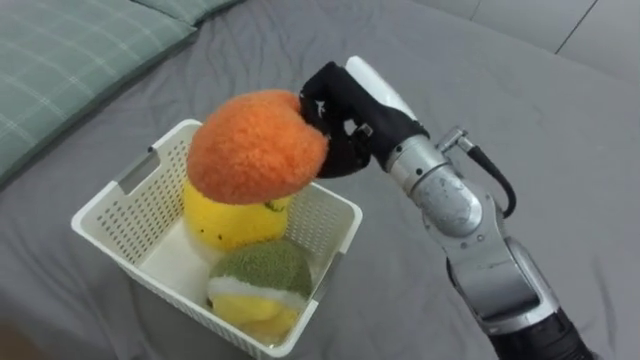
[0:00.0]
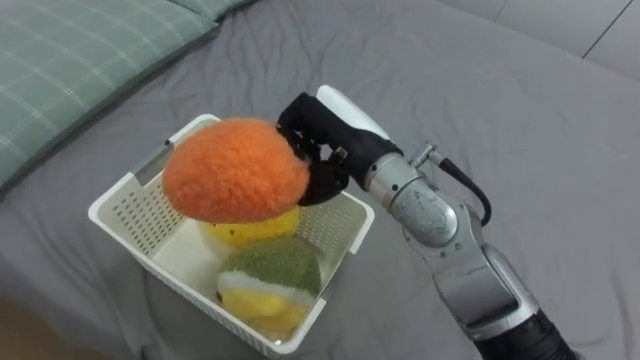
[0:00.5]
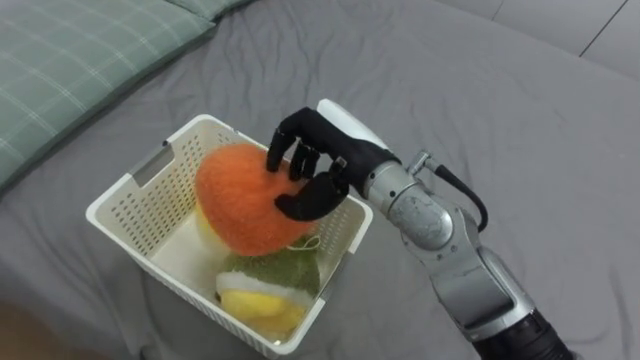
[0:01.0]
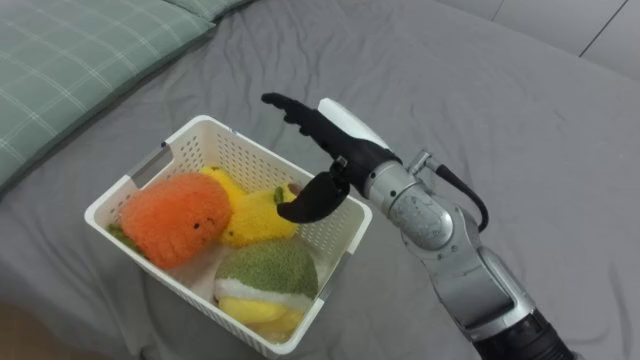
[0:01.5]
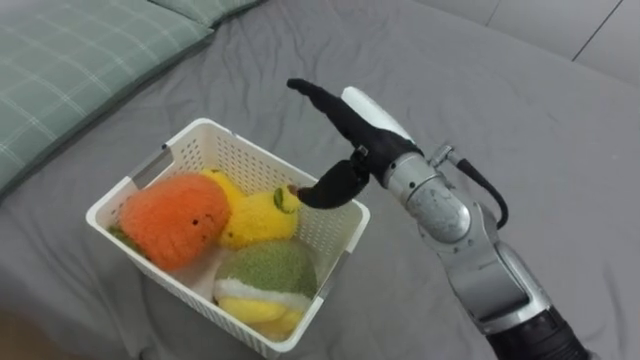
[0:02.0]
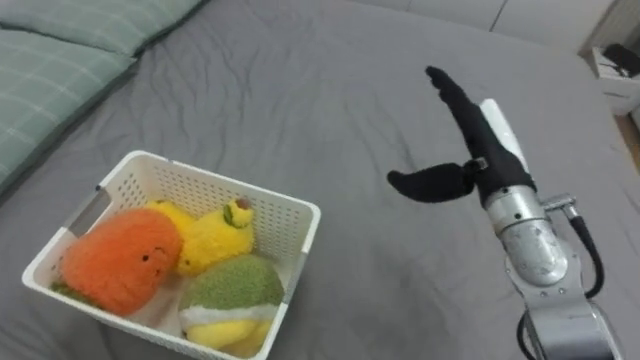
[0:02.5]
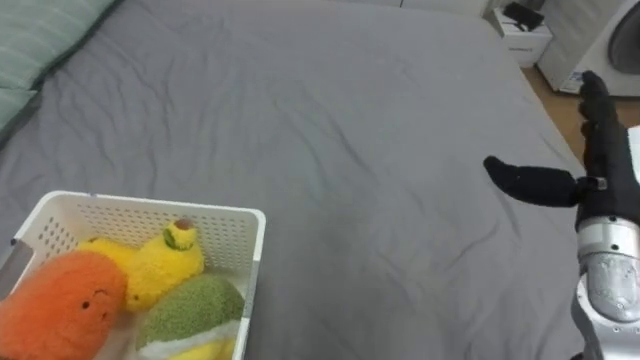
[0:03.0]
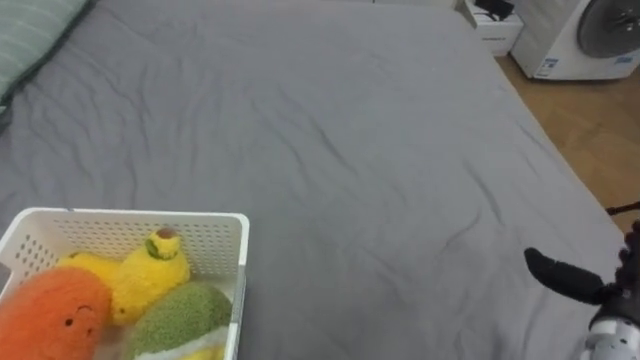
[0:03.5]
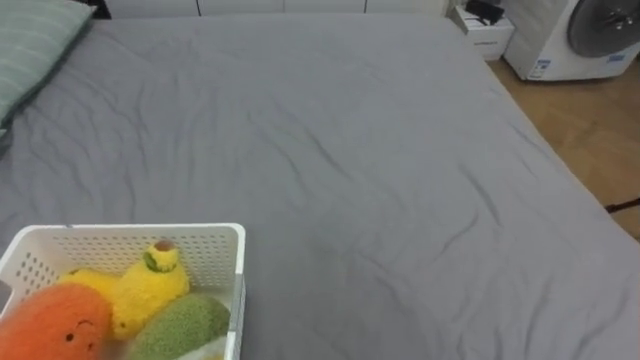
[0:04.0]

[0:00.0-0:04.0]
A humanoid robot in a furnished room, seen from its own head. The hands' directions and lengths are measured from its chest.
Task of the whole recording: Put the toys on the bed into the basket on the left.
0:00.0 to 0:02.0: The right hand opens up.

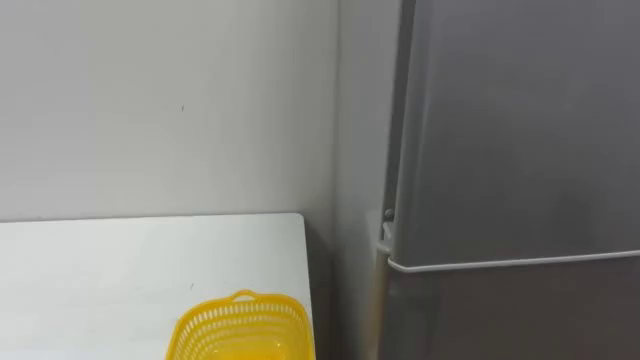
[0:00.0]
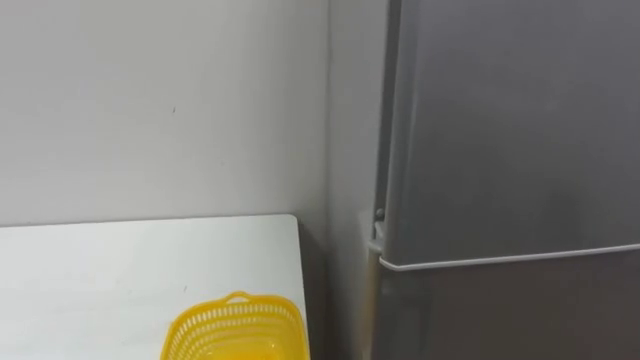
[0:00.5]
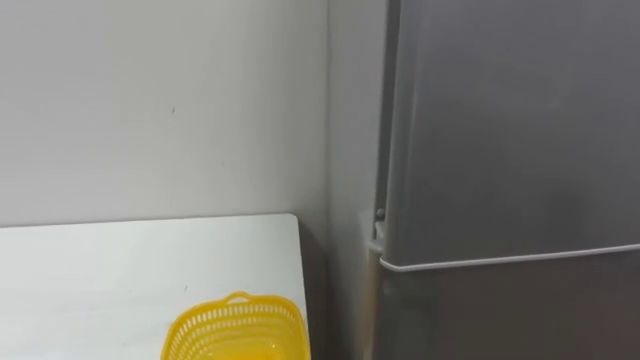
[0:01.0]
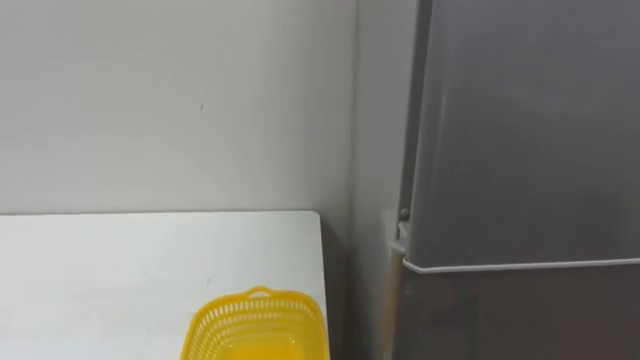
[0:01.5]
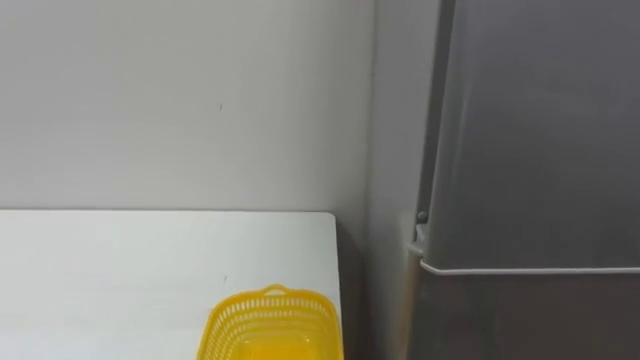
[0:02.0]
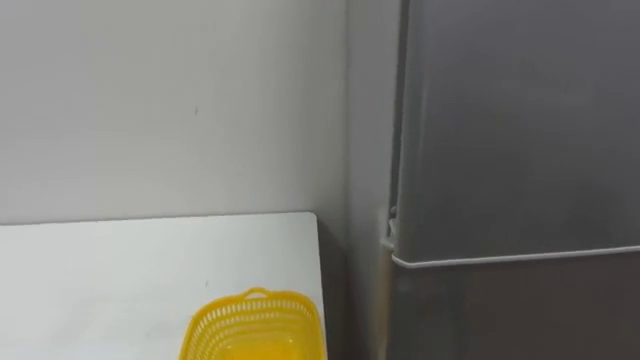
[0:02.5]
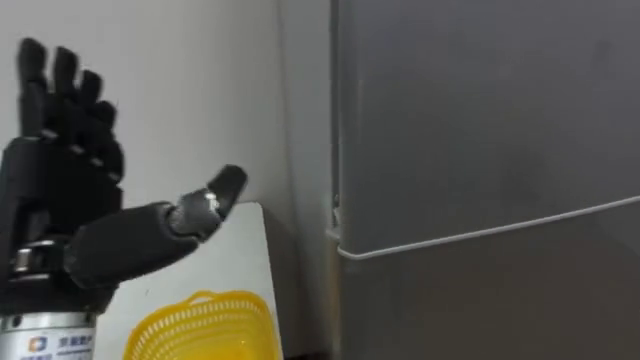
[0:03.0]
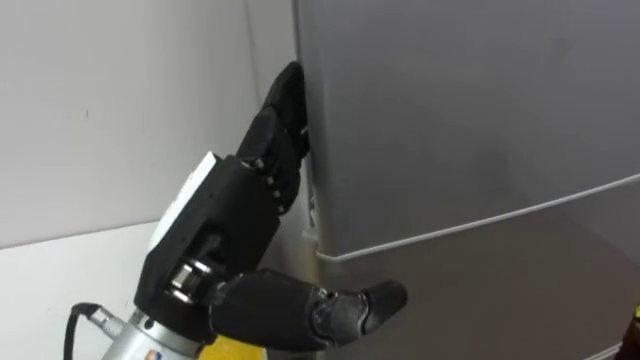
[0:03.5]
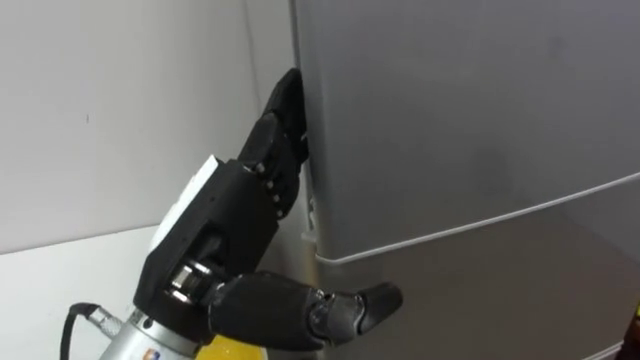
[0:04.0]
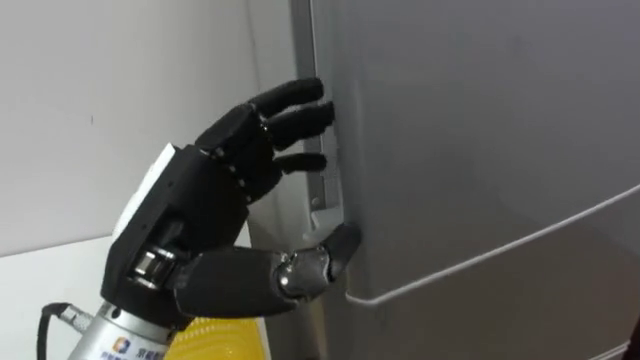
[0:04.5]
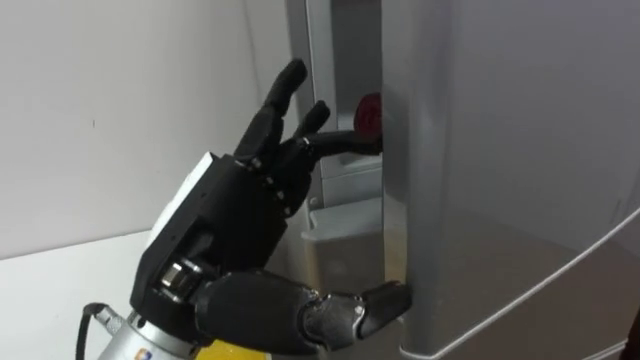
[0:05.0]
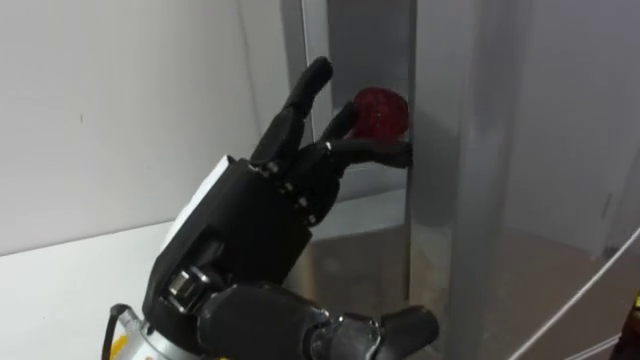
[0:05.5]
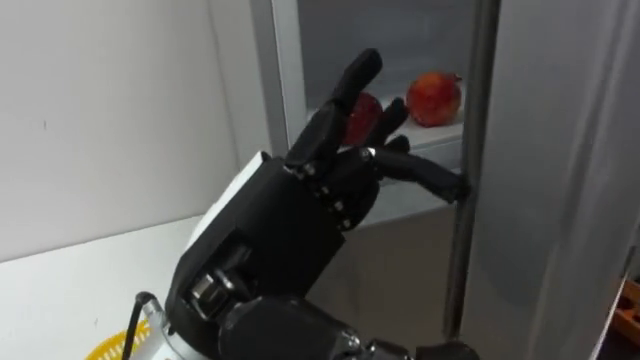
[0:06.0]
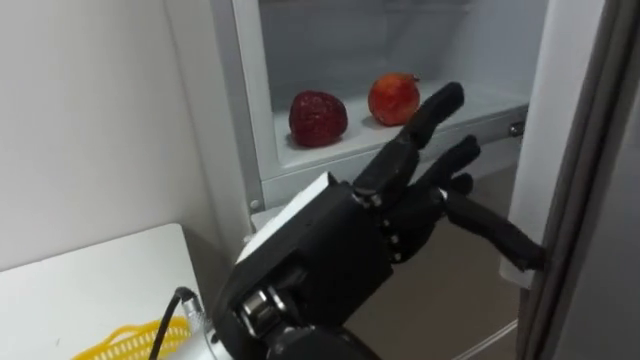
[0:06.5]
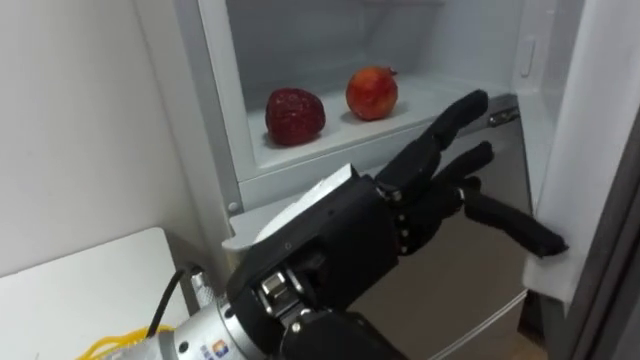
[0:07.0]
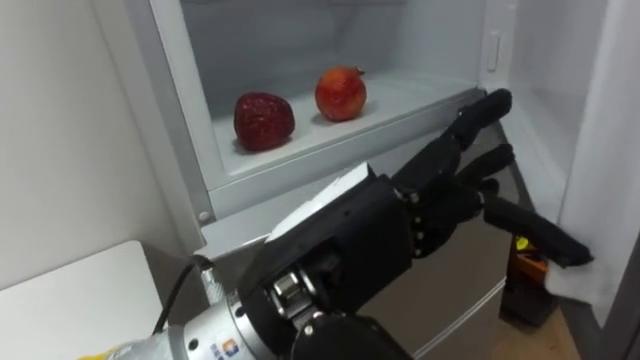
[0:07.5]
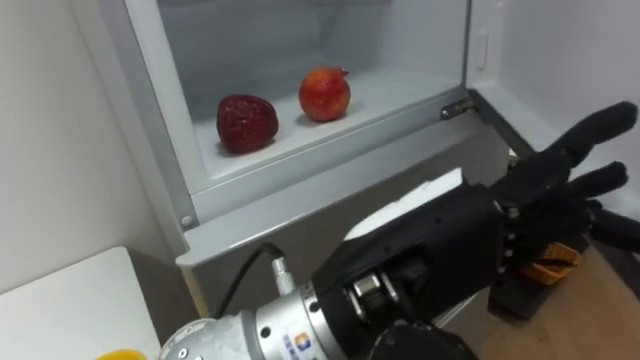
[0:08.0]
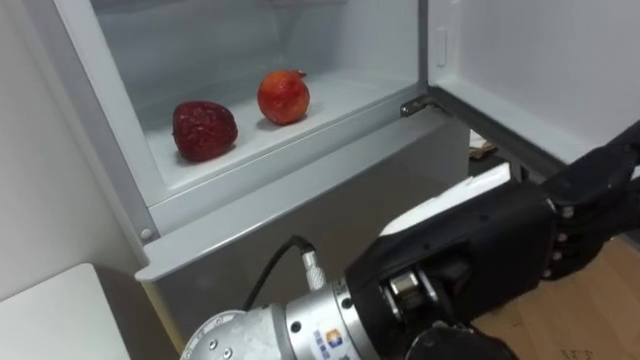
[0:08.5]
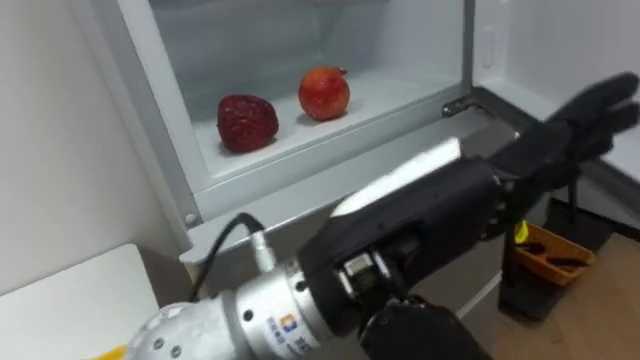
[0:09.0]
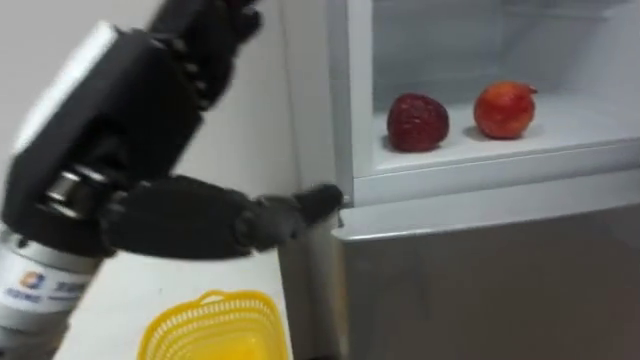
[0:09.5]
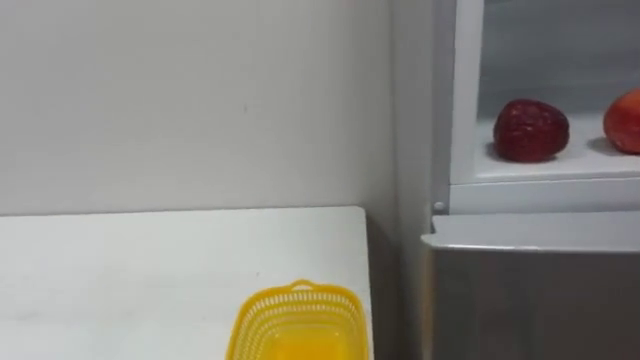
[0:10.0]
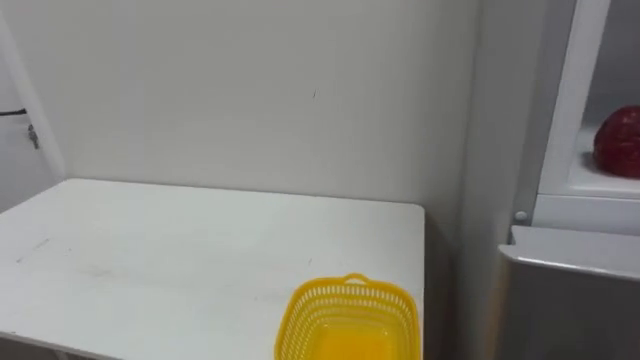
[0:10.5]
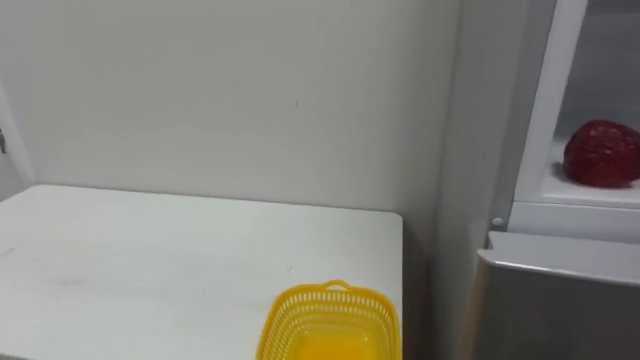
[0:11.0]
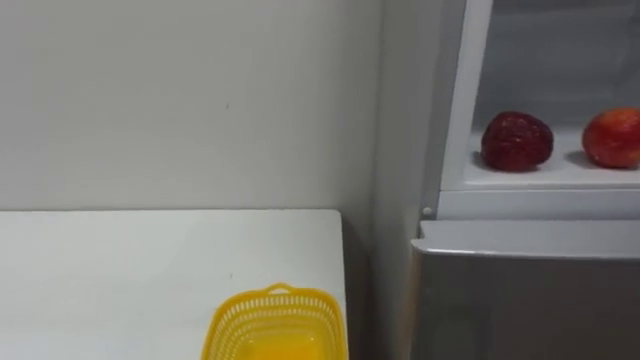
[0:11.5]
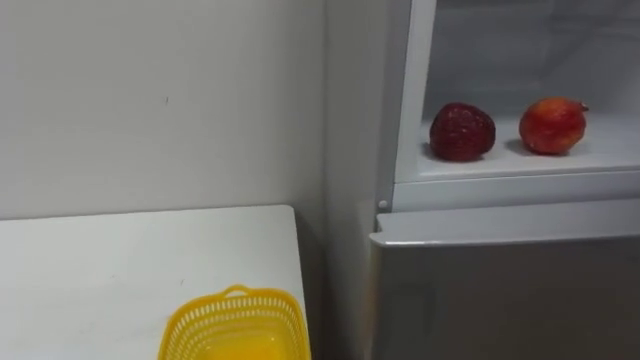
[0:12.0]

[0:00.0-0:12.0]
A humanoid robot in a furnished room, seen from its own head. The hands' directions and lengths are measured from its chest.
Task of the whole recording: Open the refrigerator door, take out the apple and the pomegranate, place them in the fruit basket on the left, and close the refrigerator door.
0:06.0 to 0:08.0: The left hand travels to the right by some 10 cm.

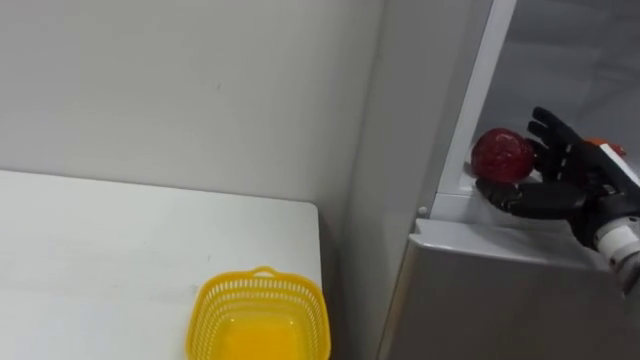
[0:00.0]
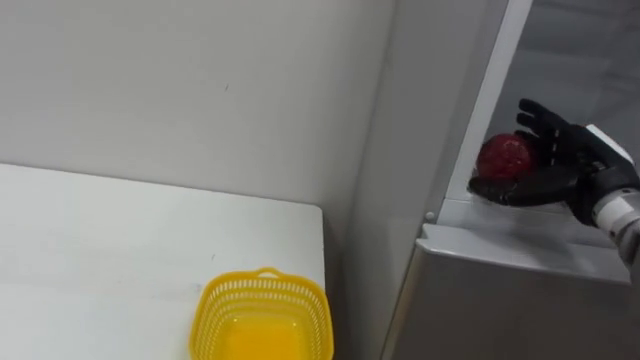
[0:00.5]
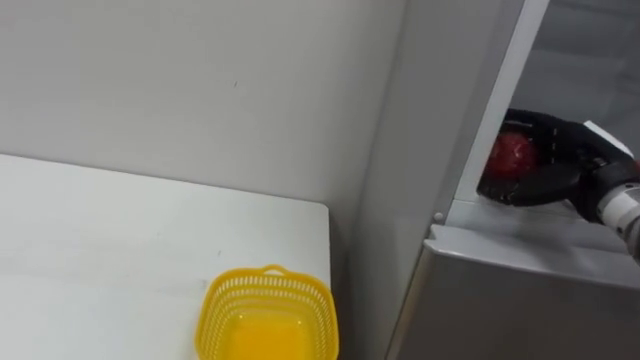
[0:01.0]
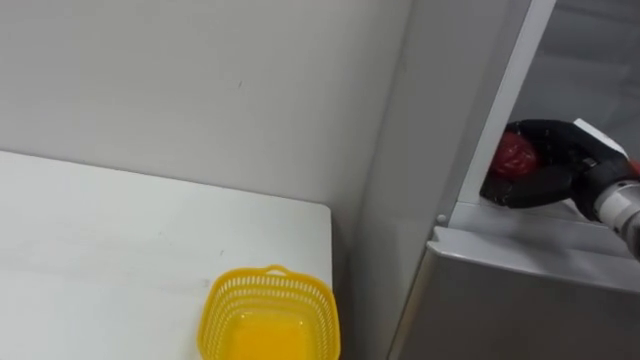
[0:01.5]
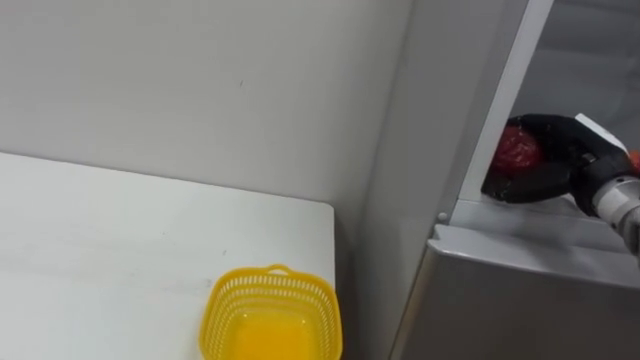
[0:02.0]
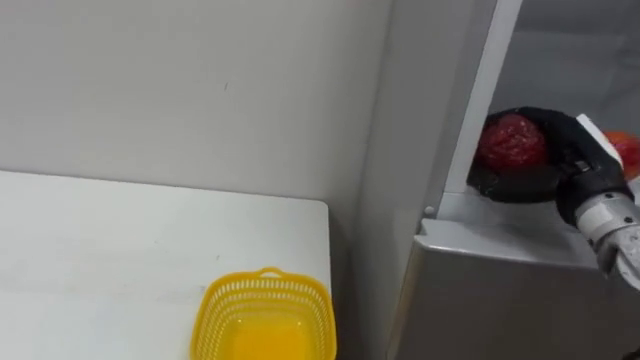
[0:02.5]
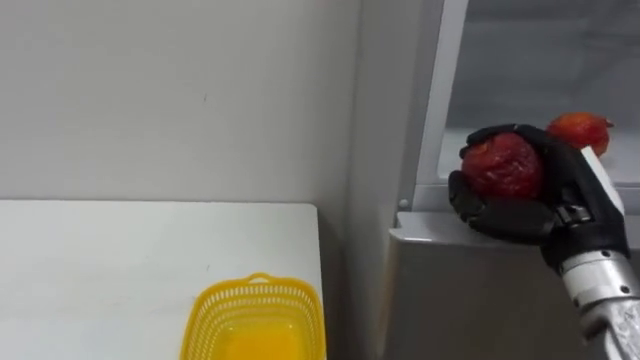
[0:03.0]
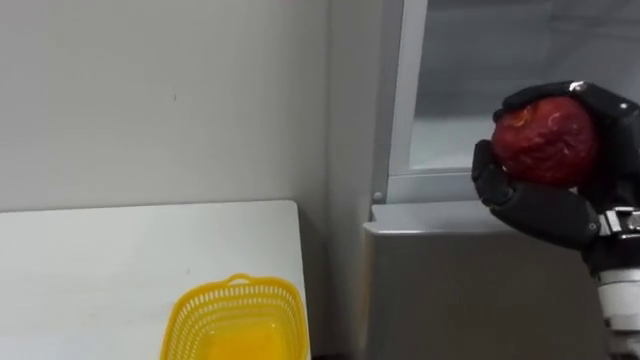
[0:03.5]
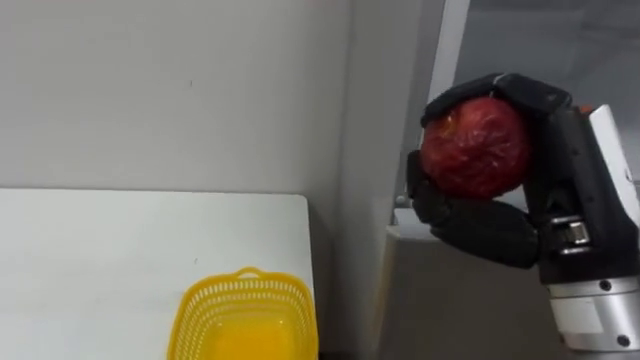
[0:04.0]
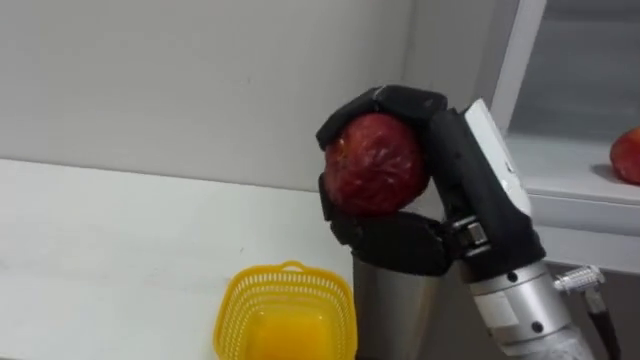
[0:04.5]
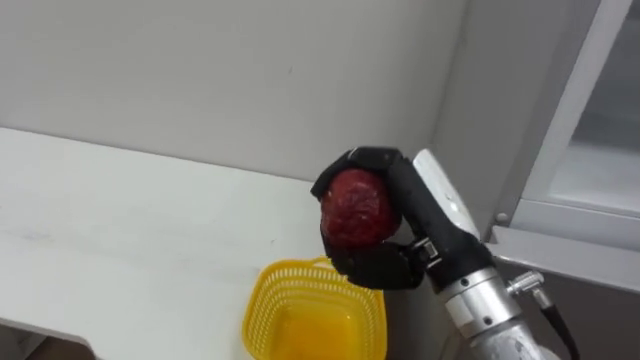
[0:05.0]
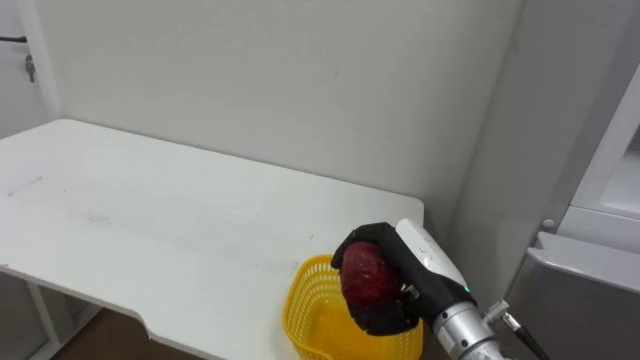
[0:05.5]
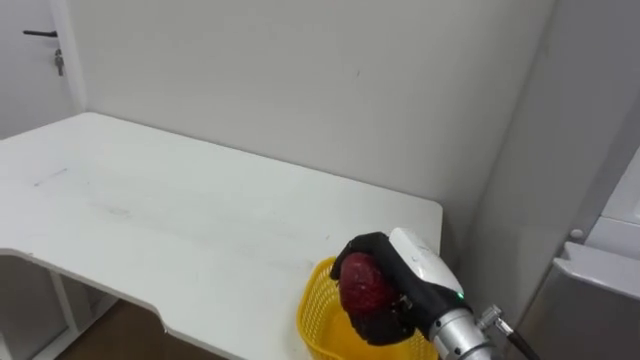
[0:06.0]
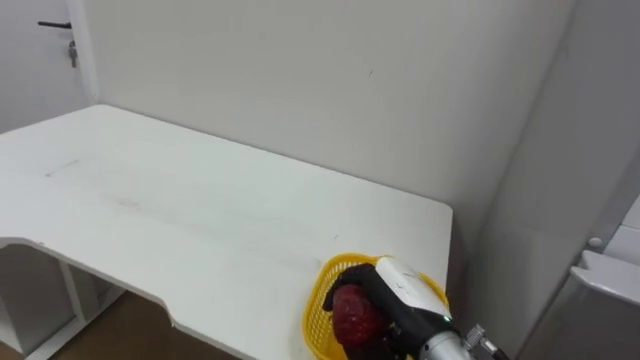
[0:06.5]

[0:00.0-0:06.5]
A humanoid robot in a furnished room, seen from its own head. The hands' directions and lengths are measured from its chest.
Task of the whole recording: Open the refrigerator door, take out the apple and the pomegranate, place them in the fruit basket on the left, and close the refrigerator door.
0:00.0 to 0:02.0: The right hand closes its fingers.
0:02.0 to 0:04.5: The right hand shifts approximately 25 cm to the left, backward and upward.
0:04.5 to 0:06.5: The right hand moves downward, about 20 cm.
